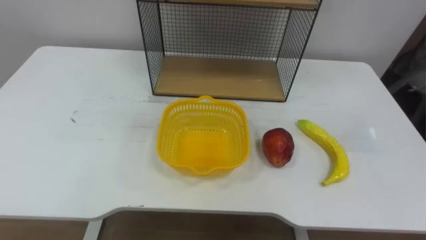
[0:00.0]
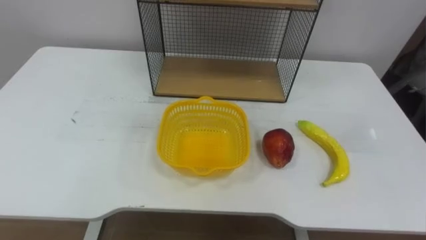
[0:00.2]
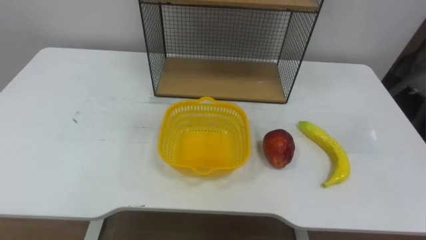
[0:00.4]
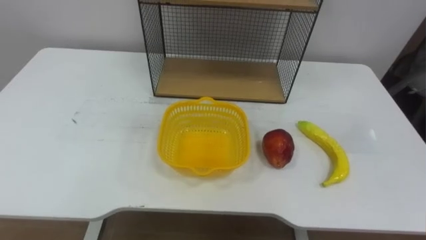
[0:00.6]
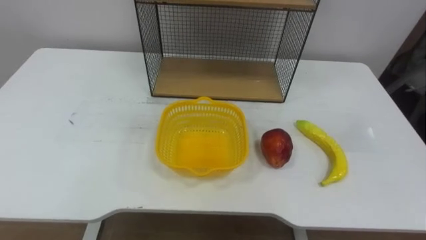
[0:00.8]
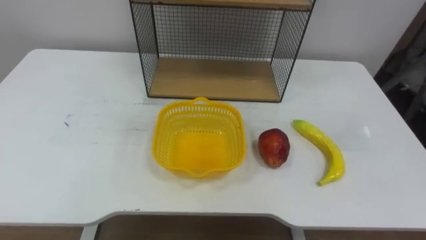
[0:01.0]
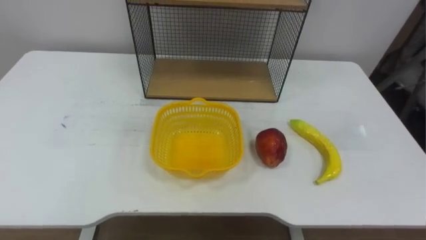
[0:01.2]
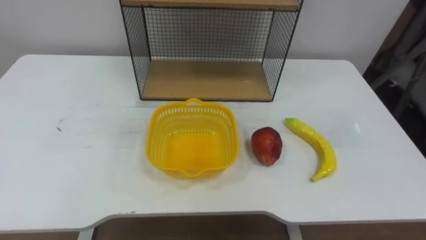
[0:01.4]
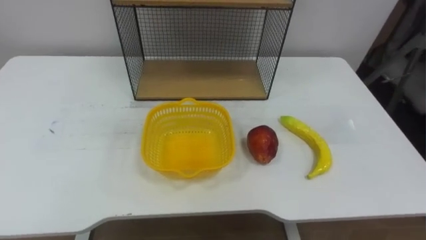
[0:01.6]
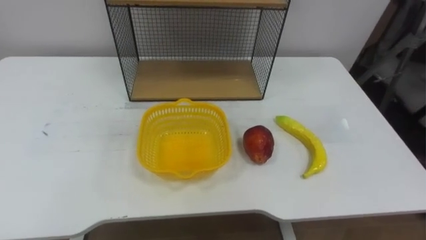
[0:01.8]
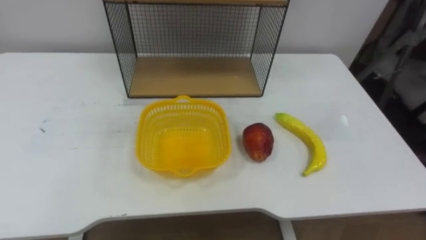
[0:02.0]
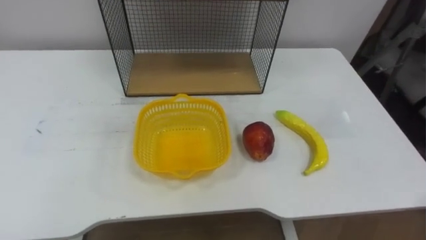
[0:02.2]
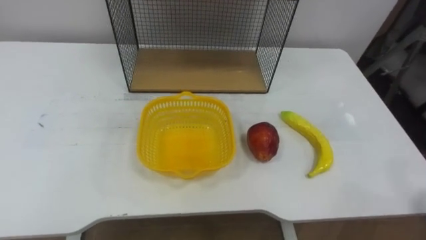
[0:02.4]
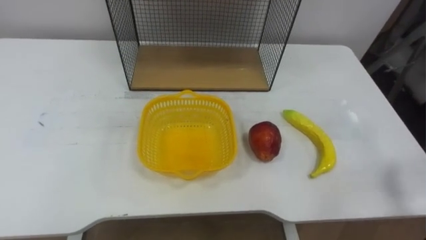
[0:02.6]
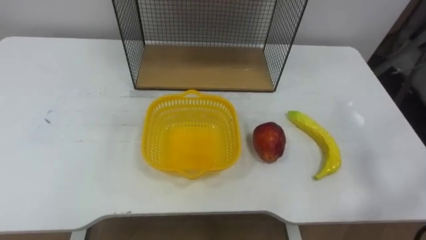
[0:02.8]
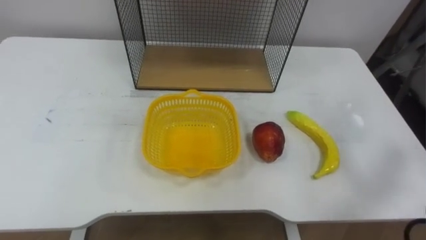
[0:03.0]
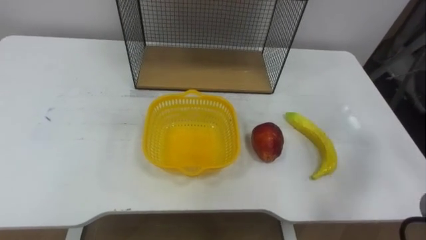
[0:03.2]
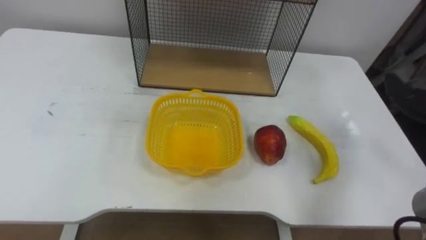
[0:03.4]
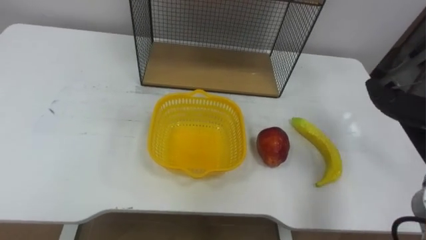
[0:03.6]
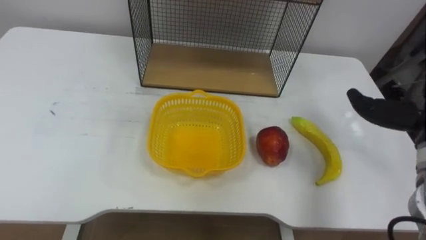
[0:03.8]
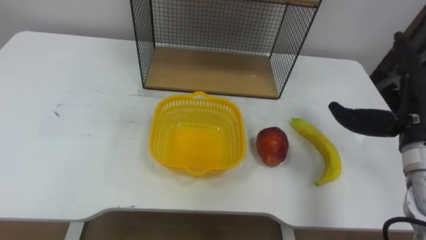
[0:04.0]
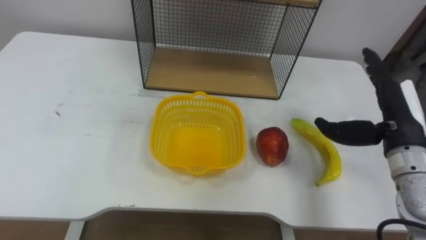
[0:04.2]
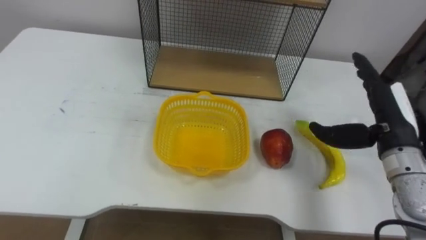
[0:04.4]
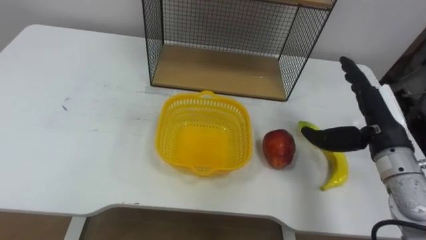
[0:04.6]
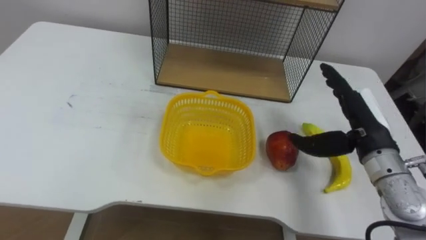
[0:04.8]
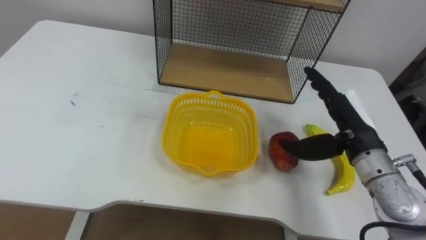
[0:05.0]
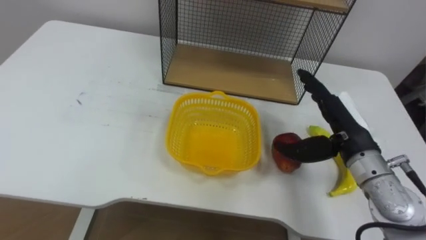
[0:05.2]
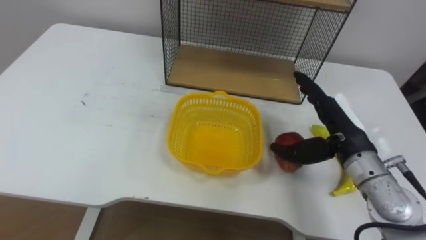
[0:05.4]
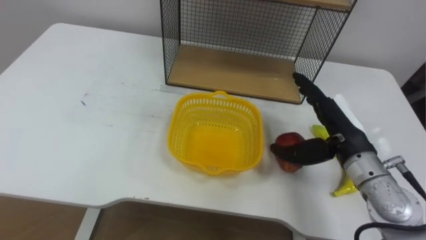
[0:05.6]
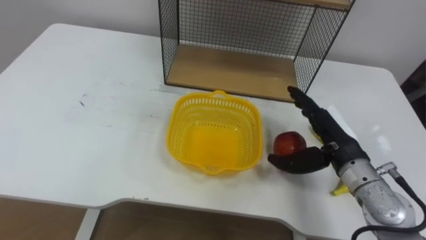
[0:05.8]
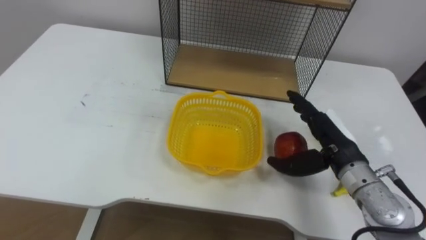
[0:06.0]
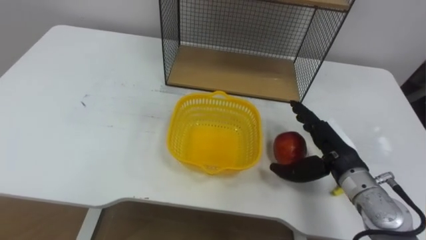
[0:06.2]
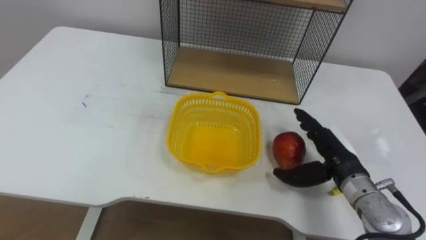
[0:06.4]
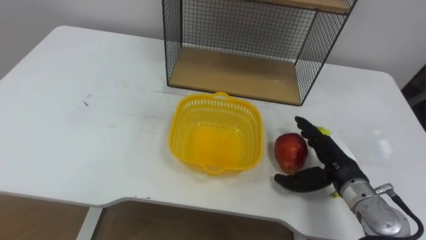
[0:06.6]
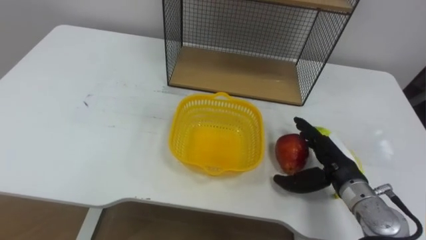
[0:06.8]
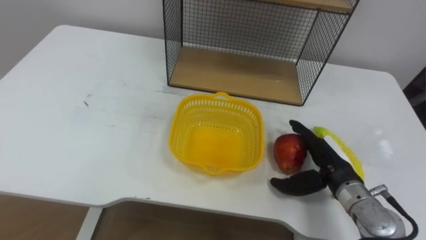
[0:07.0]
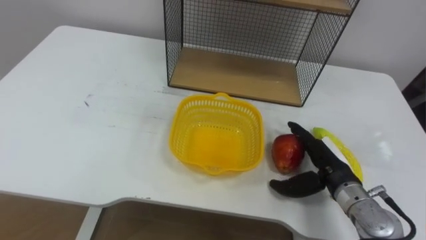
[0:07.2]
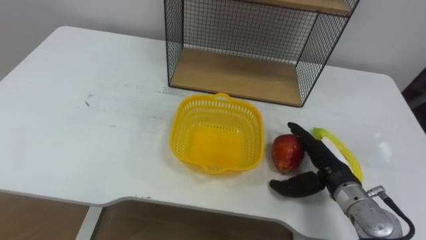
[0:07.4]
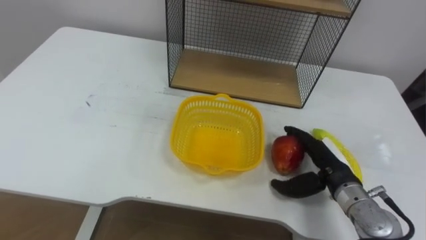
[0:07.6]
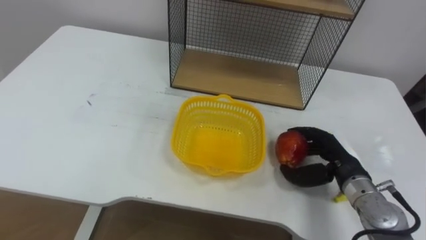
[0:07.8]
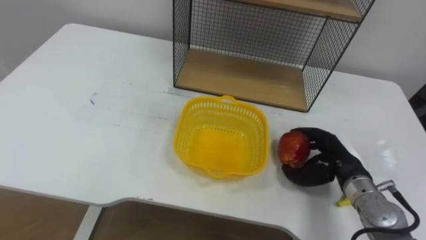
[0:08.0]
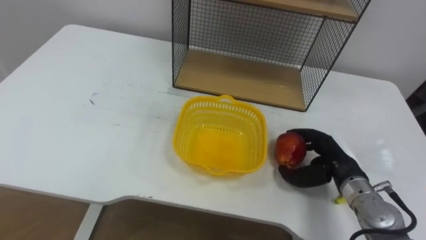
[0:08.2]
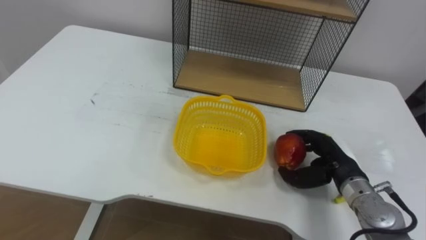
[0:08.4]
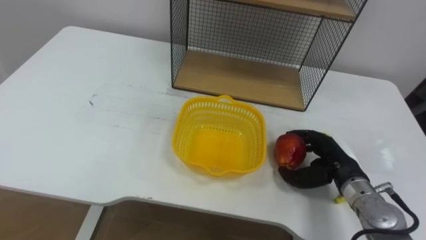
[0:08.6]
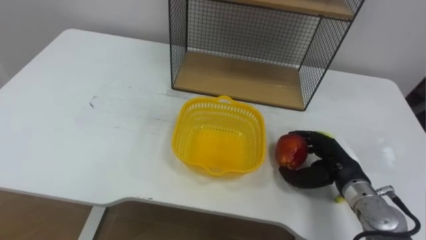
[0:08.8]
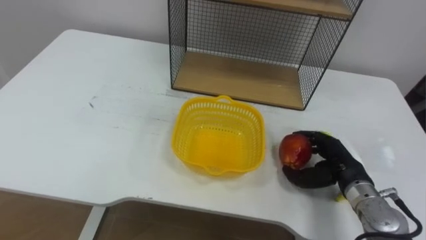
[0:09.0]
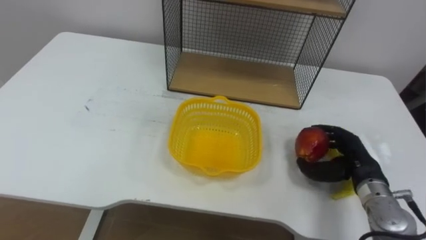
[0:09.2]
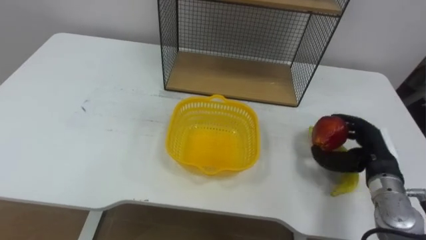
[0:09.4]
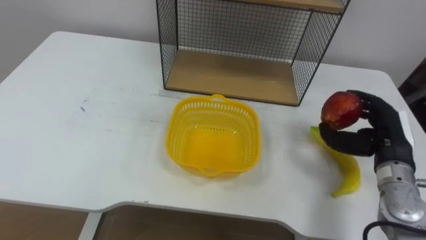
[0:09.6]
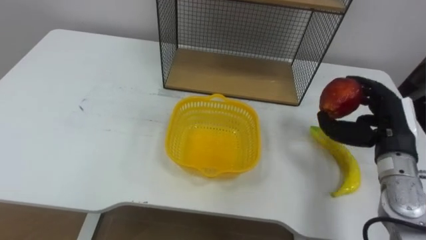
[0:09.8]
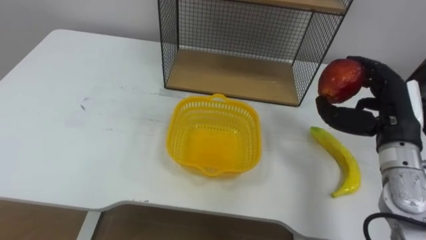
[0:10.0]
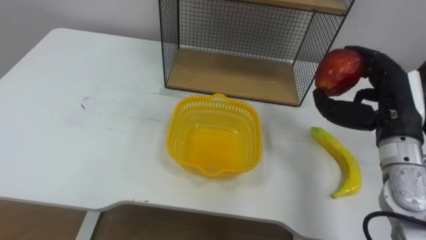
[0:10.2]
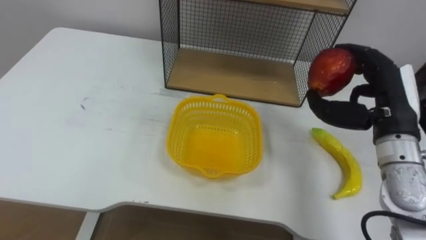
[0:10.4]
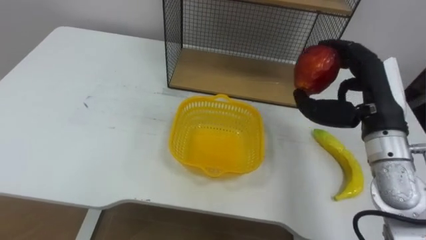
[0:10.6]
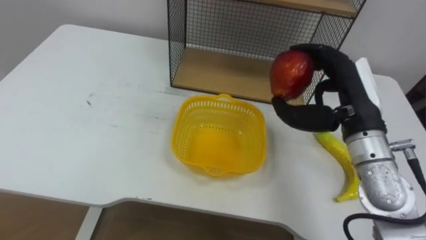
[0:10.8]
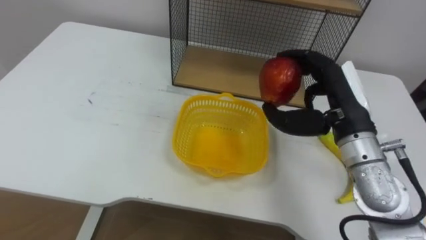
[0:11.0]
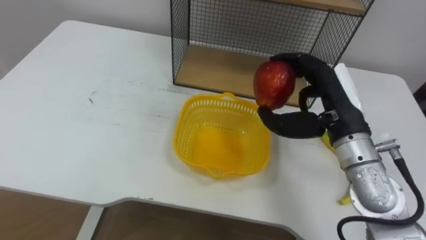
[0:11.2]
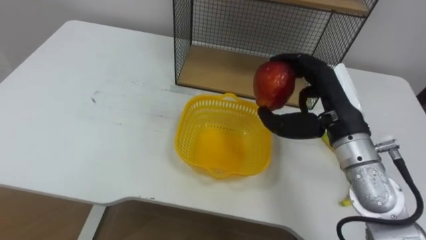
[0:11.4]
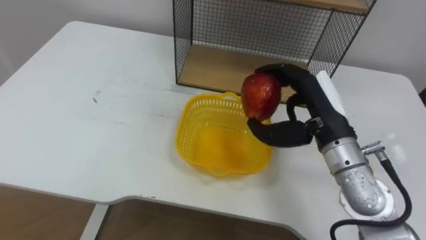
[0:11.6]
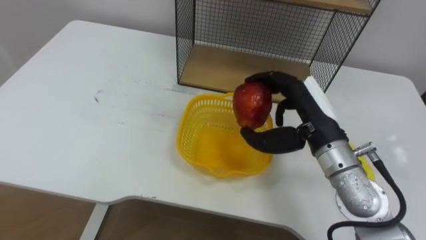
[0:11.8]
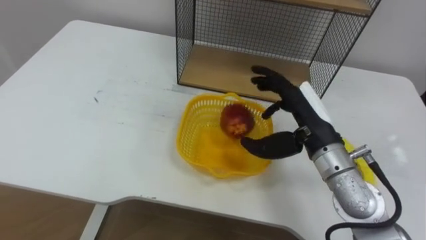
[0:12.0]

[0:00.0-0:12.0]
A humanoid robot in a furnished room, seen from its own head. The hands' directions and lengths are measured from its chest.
Task of the whole recording: Put the fruit on the table into the basket, then place the basket on the shelf.
0:04.4 to 0:06.0: The right hand heads to the left and downward, covering roughly 10 cm.
0:06.0 to 0:07.6: The right hand travels downward by roughly 5 cm.
0:07.6 to 0:09.0: The right hand closes its fingers.
0:09.0 to 0:10.4: The right hand is displaced upward by approximately 15 cm.
0:10.4 to 0:12.0: The right hand heads to the left, covering some 10 cm, and opens its fingers.

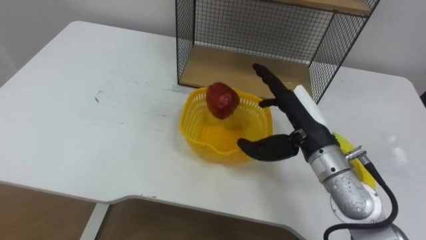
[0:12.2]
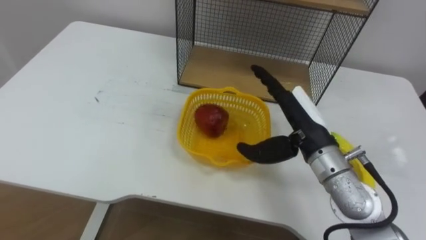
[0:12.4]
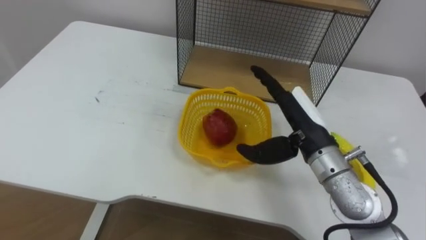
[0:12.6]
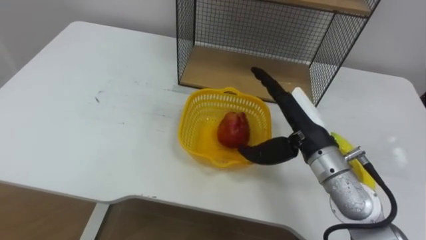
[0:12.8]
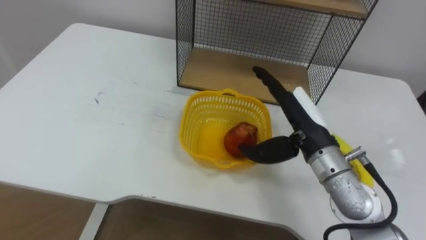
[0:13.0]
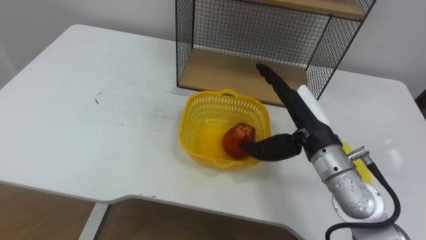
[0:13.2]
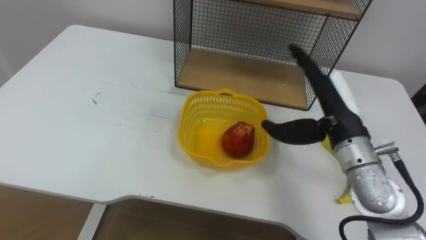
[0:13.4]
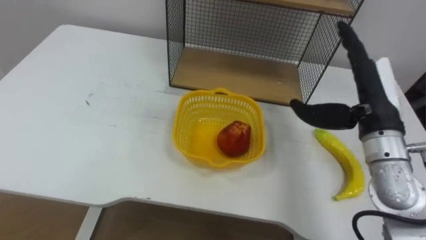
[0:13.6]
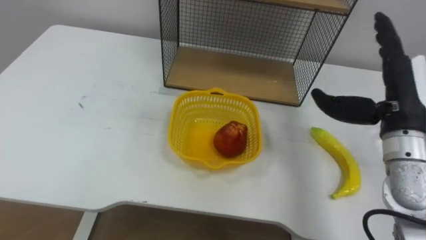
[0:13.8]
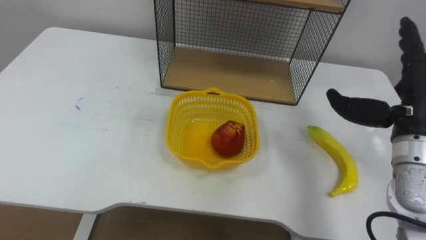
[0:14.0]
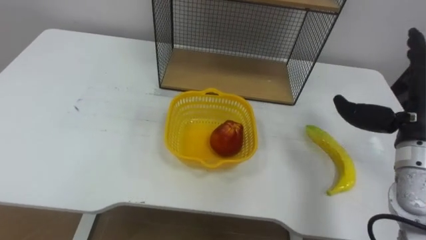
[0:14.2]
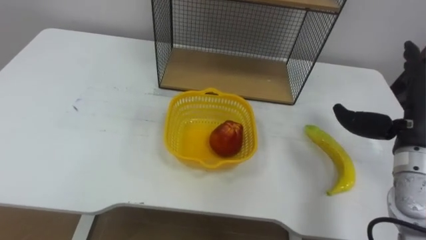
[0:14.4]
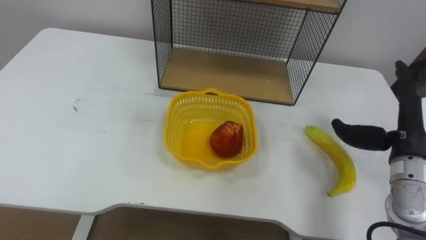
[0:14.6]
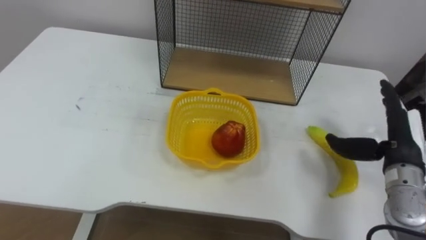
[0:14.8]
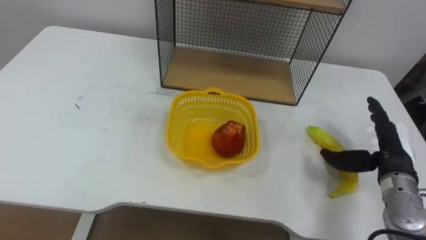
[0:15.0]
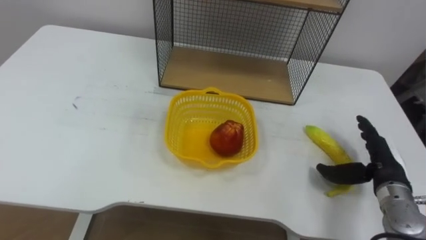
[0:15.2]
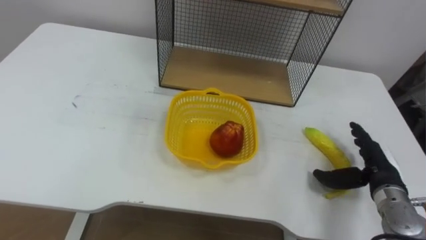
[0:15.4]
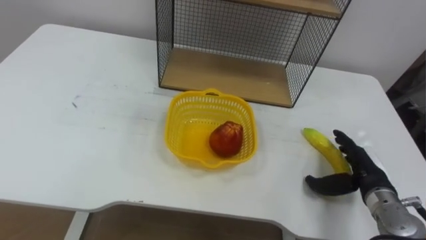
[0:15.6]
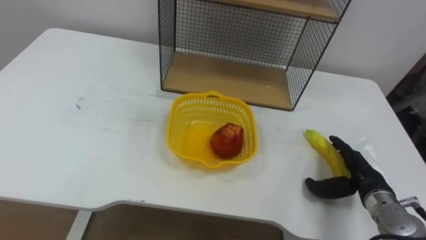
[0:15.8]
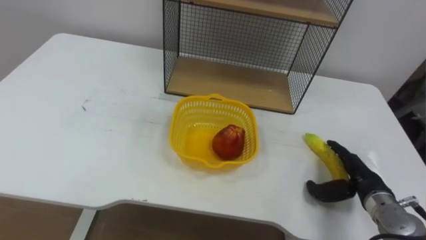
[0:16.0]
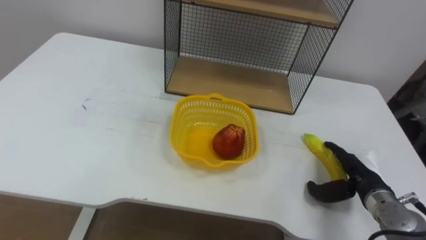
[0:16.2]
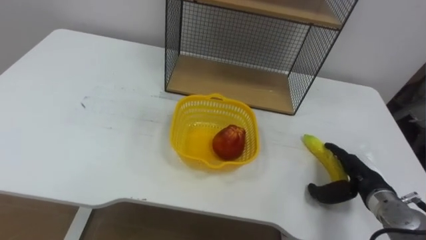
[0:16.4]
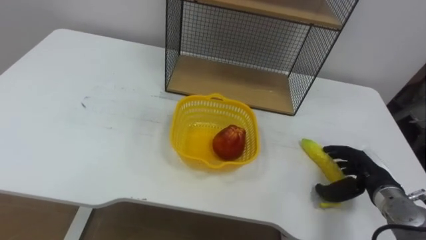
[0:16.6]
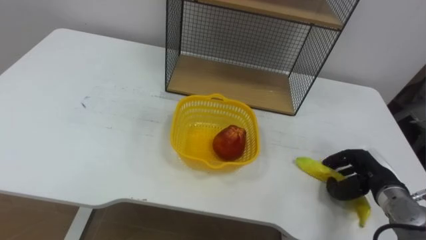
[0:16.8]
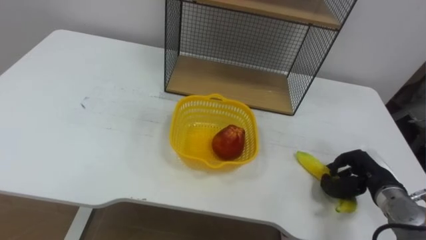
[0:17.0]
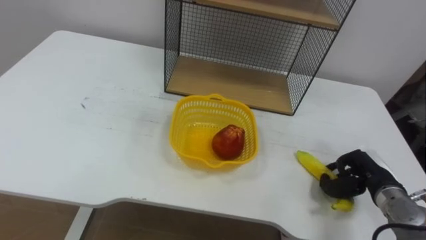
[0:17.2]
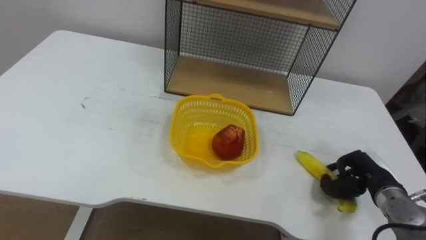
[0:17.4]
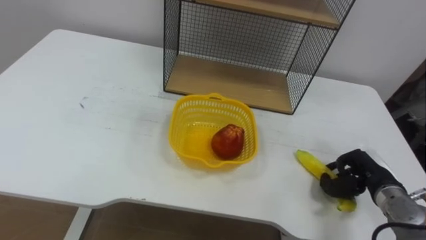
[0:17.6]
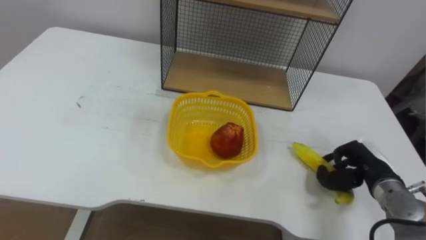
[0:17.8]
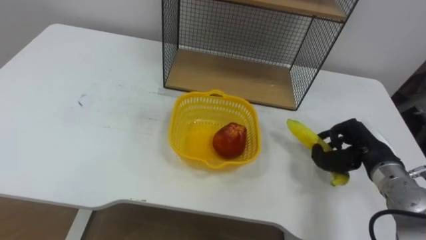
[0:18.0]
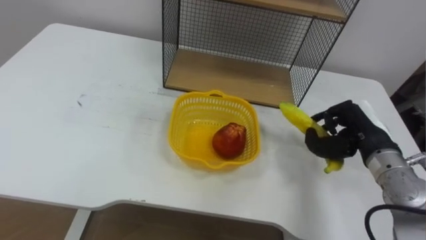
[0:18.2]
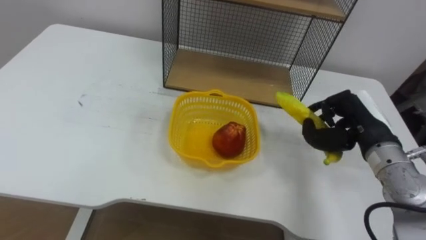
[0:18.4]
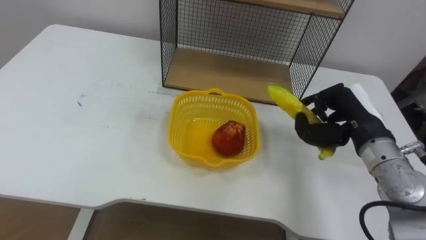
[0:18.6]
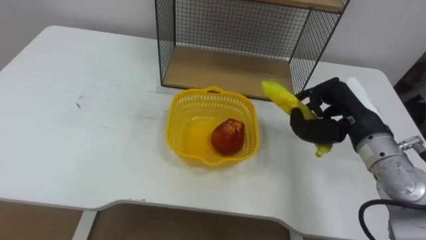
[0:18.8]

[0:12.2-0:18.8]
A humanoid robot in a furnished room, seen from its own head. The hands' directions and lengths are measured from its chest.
Task of the whole recording: Put the fruit on the table into the basket, then place the basket on the shelf.
0:12.2 to 0:13.8: The right hand goes about 15 cm to the right and upward.
0:13.8 to 0:15.4: The right hand travels downward by about 15 cm.
0:15.4 to 0:17.2: The right hand closes its fingers.
0:17.2 to 0:18.8: The right hand shifts about 15 cm upward and to the left.
